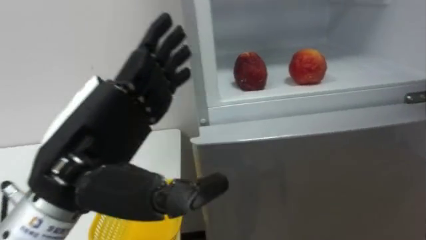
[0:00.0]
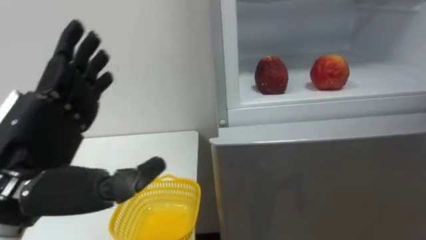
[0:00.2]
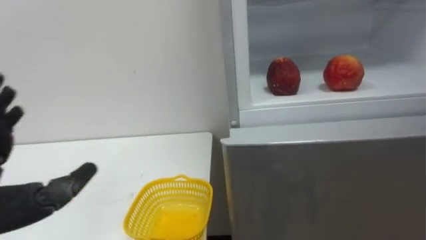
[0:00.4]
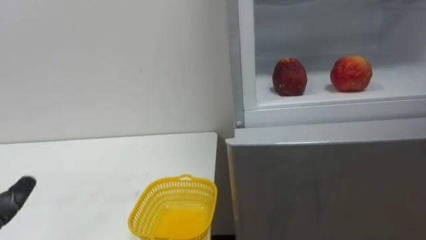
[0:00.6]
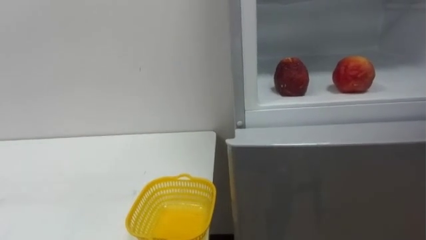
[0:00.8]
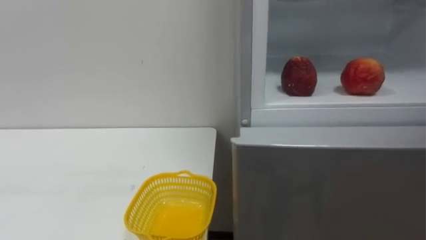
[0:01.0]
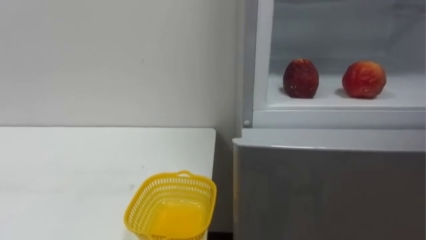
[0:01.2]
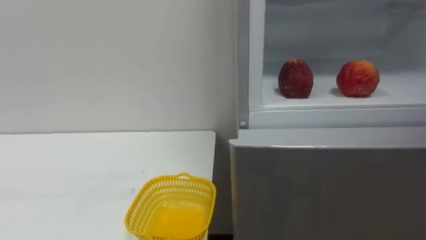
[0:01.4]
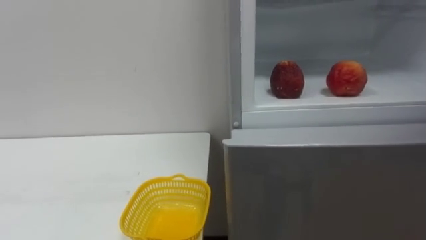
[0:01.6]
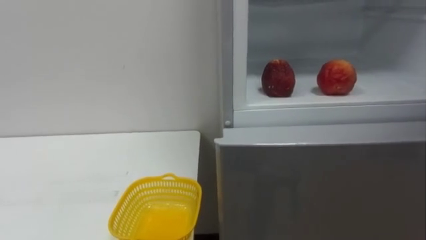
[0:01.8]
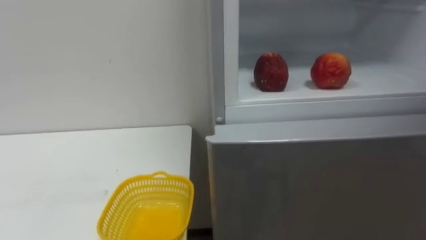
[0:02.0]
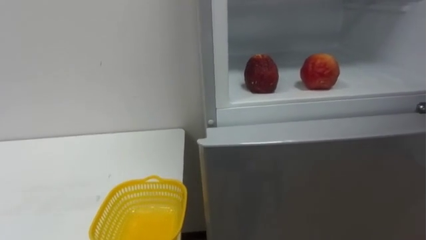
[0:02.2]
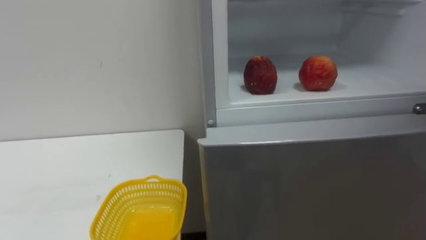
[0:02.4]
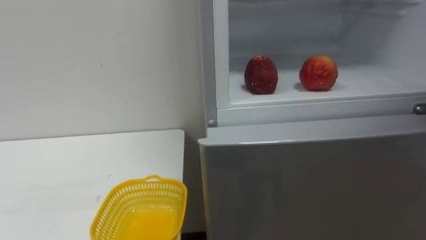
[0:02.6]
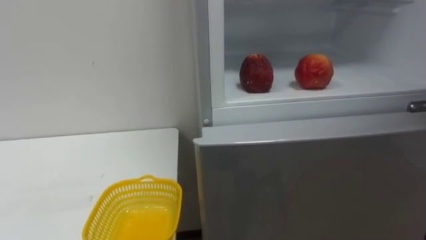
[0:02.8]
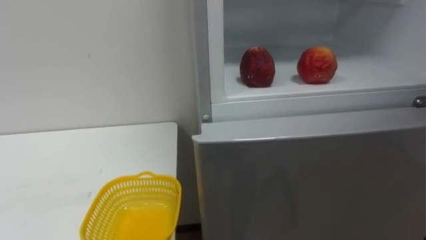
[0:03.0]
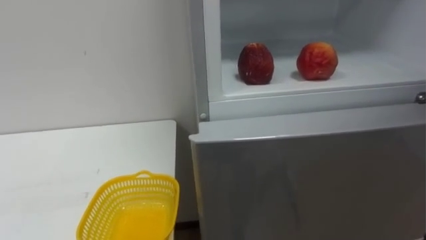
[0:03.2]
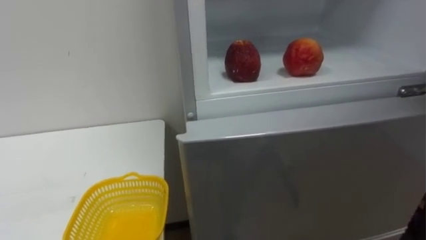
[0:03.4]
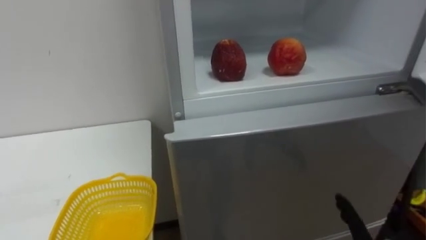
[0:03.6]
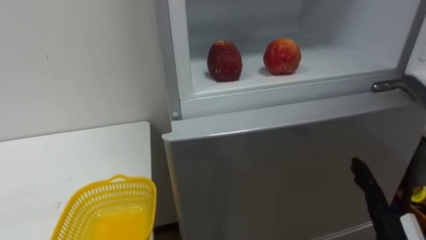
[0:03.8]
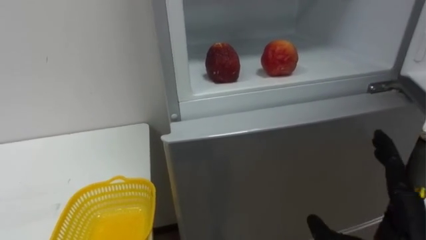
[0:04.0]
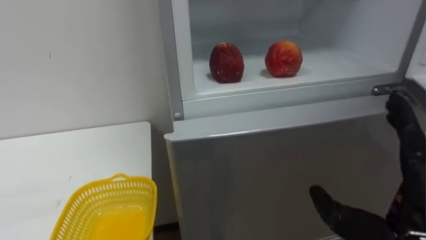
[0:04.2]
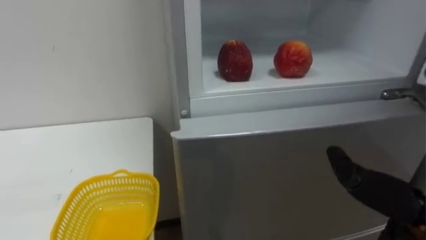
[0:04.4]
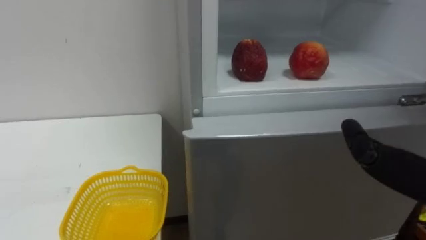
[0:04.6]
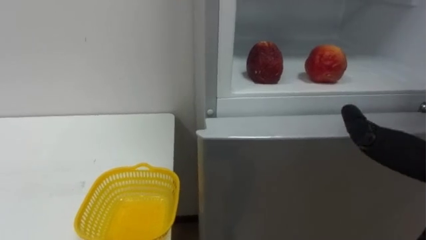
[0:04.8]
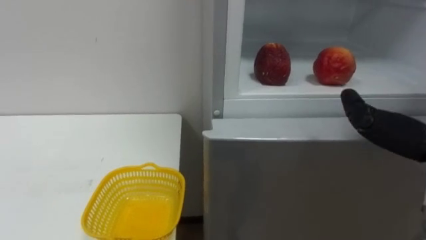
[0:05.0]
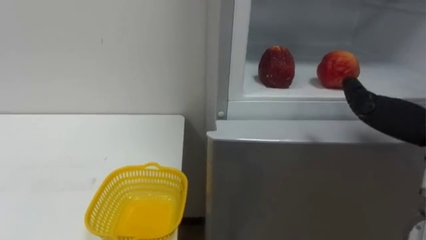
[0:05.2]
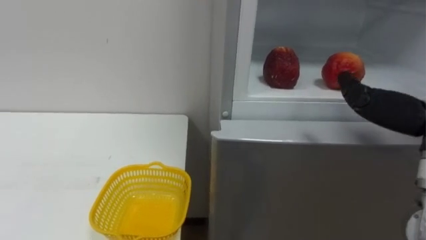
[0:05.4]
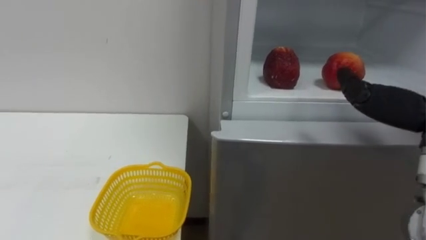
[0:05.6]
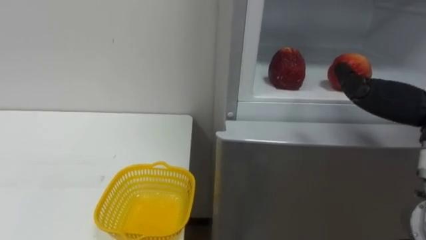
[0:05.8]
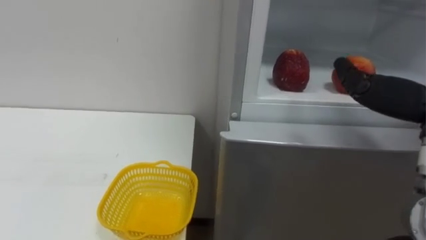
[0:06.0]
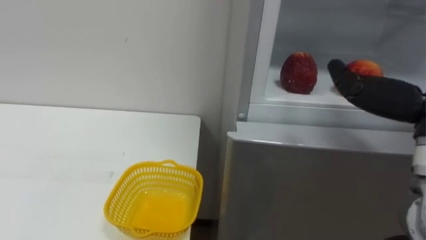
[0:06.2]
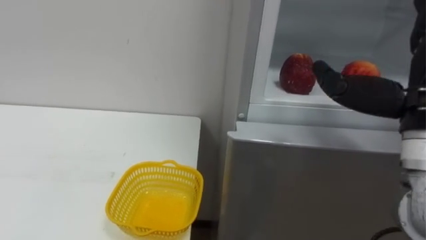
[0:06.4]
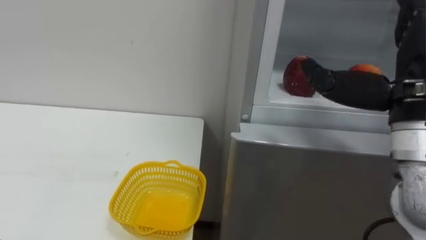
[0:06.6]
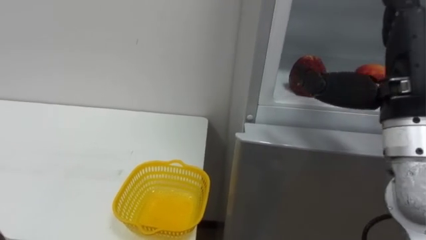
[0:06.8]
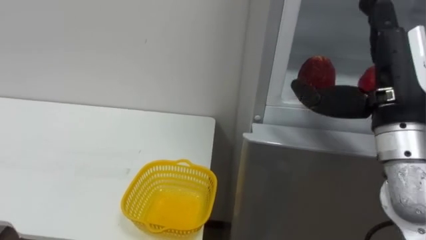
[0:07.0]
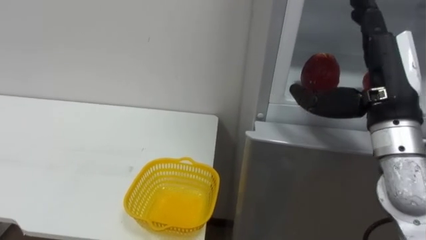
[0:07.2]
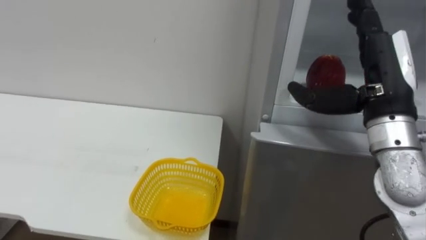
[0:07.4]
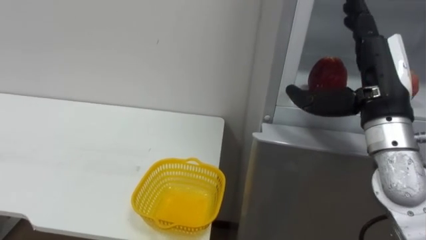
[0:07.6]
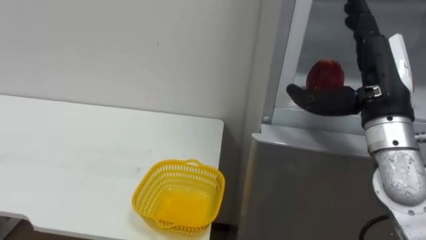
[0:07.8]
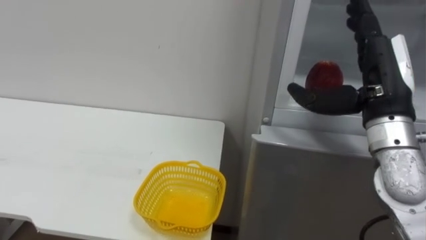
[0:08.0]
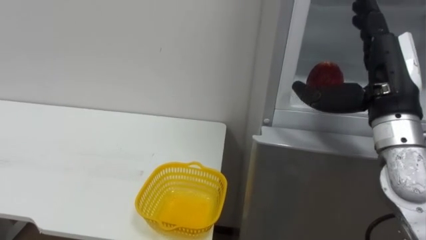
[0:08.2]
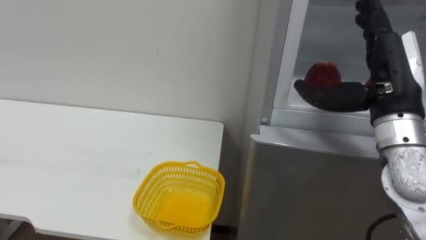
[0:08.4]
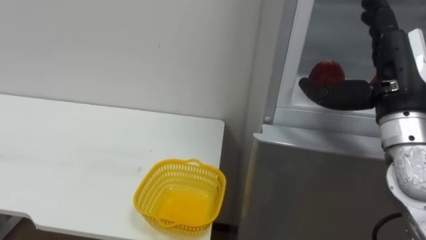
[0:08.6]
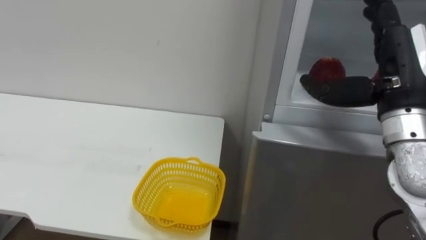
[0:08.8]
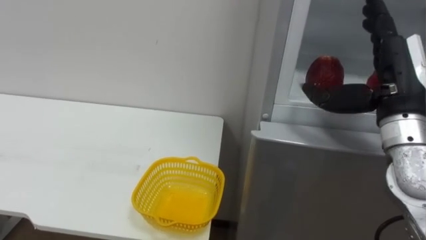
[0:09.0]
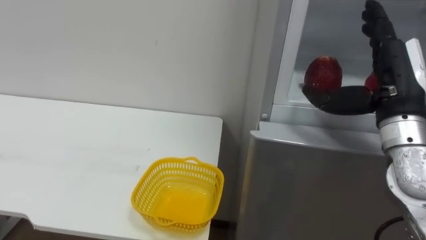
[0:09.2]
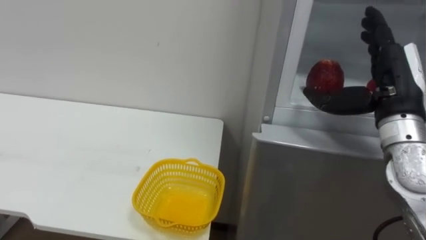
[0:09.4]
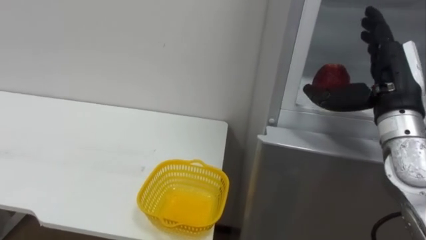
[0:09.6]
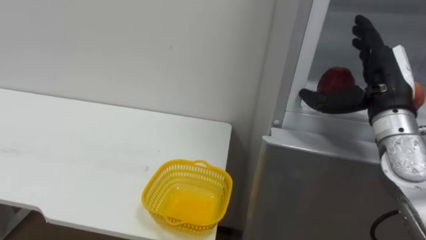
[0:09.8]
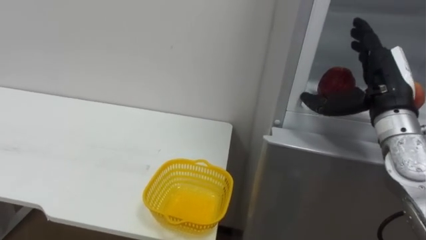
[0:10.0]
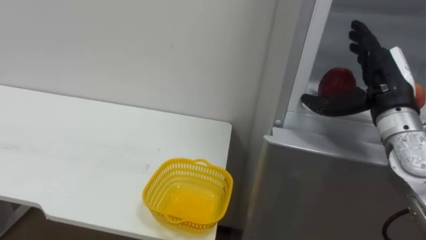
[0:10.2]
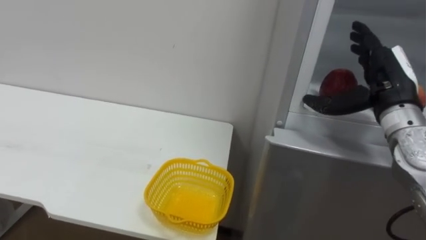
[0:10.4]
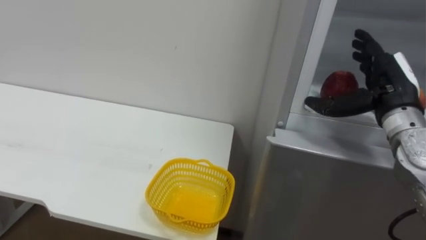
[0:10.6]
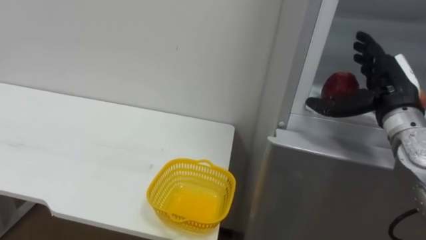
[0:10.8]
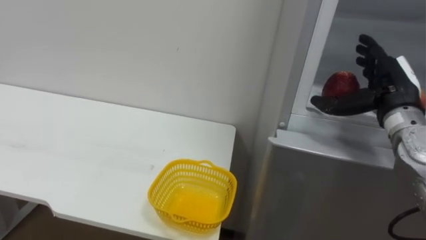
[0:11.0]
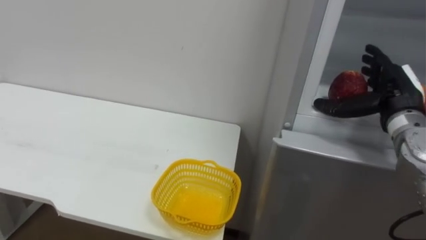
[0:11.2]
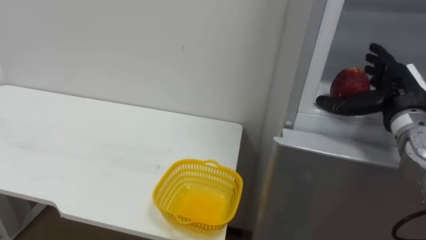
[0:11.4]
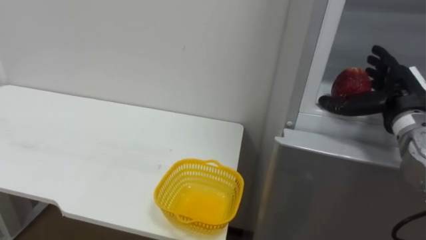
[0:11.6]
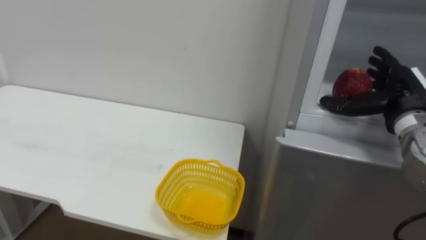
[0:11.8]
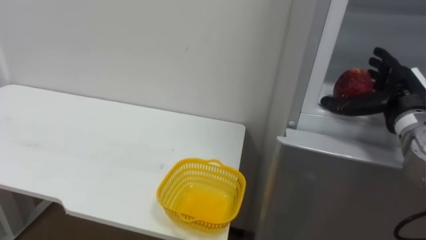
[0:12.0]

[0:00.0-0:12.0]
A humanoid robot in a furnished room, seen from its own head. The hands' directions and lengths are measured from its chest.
Task of the whole recording: Open the refrigerator door, take out the apple and the pomegranate, place them in the fruit basket on the left, and close the refrigerator door.
0:09.0 to 0:10.4: The right hand ends up about 5 cm from where it was.
0:10.4 to 0:12.0: The right hand ends up approximately 5 cm from where it was.

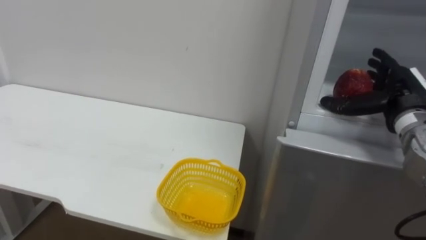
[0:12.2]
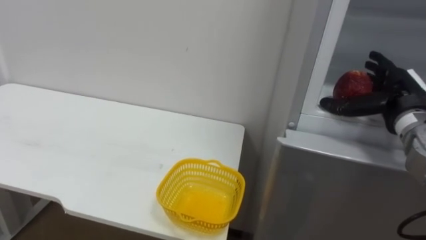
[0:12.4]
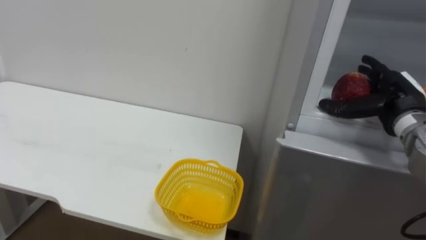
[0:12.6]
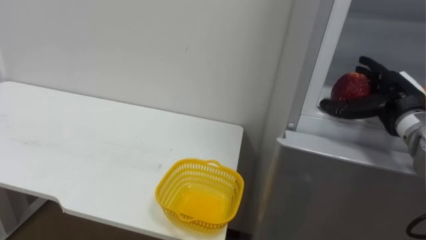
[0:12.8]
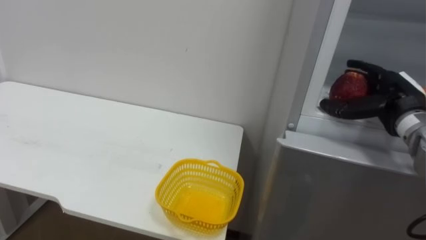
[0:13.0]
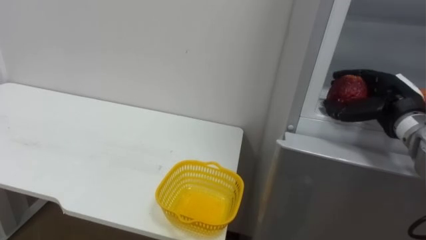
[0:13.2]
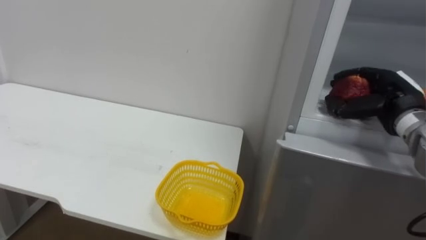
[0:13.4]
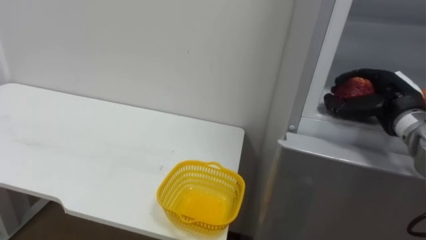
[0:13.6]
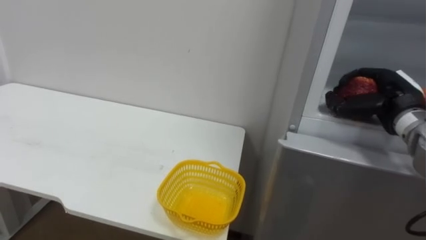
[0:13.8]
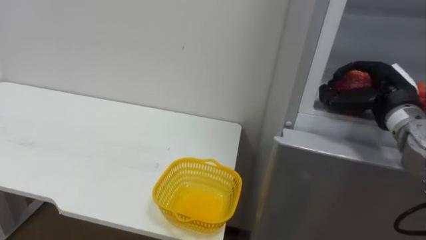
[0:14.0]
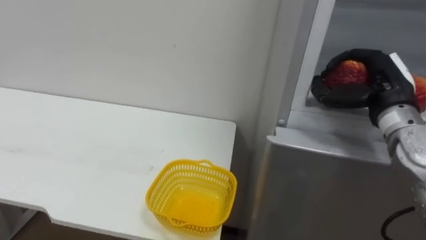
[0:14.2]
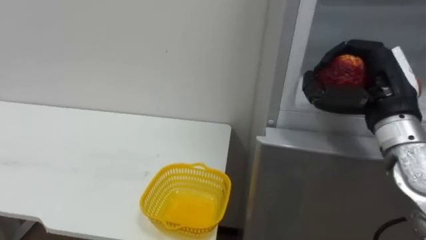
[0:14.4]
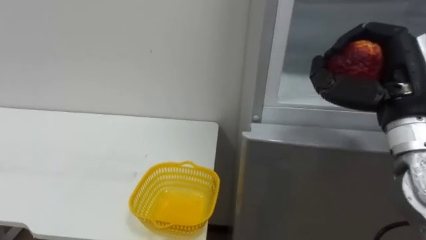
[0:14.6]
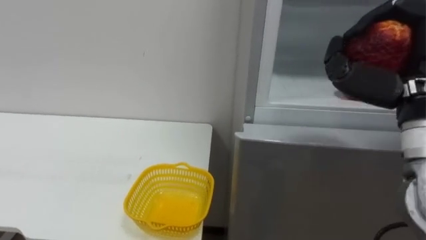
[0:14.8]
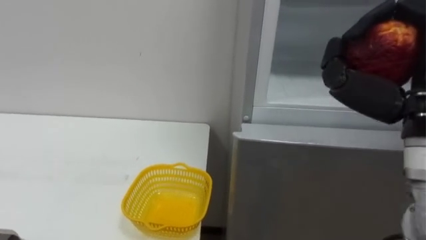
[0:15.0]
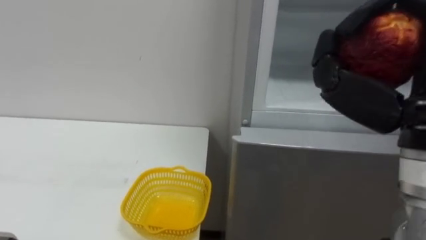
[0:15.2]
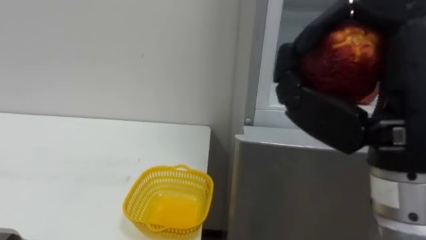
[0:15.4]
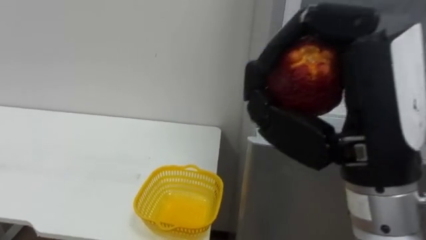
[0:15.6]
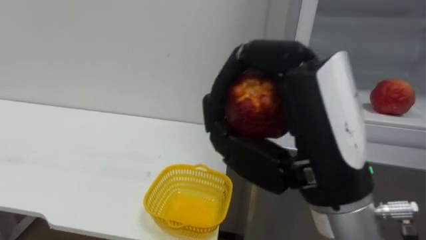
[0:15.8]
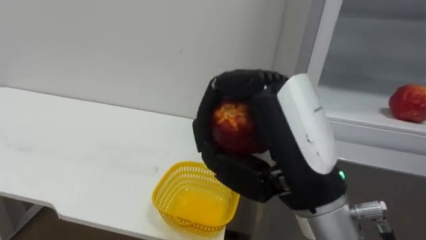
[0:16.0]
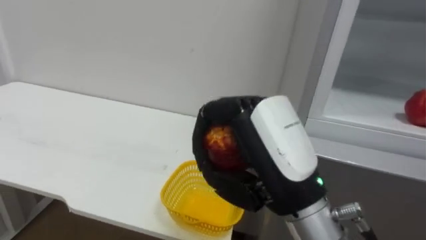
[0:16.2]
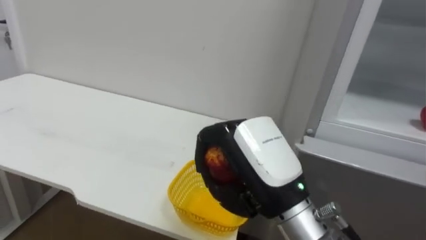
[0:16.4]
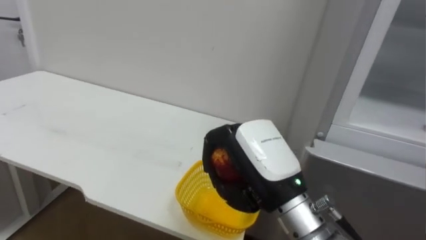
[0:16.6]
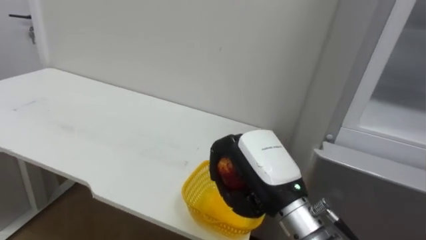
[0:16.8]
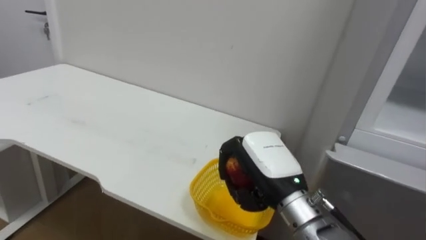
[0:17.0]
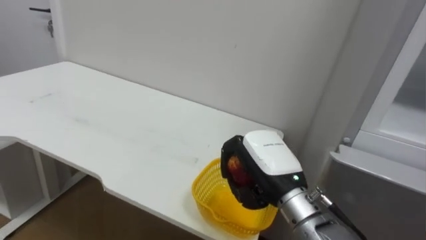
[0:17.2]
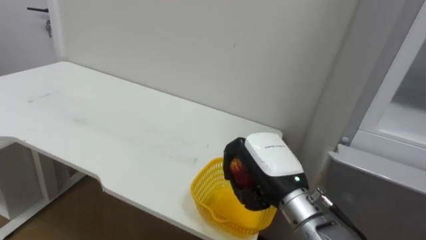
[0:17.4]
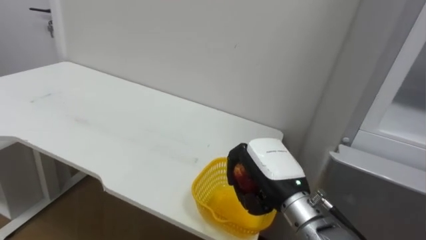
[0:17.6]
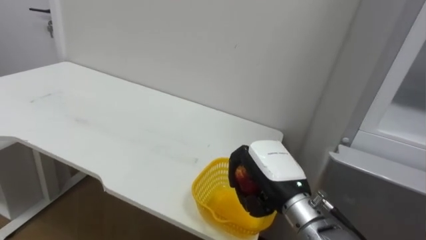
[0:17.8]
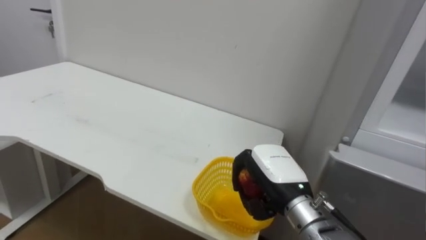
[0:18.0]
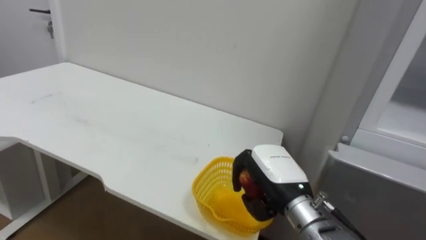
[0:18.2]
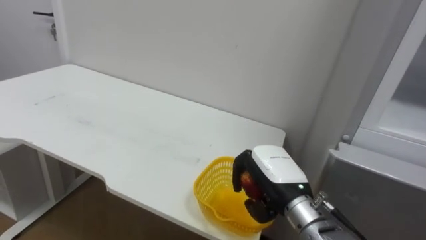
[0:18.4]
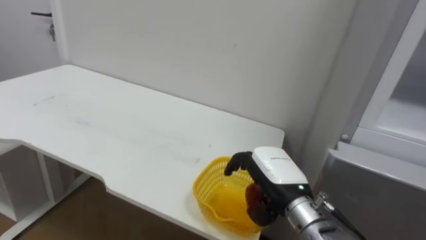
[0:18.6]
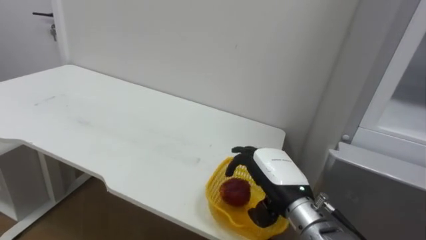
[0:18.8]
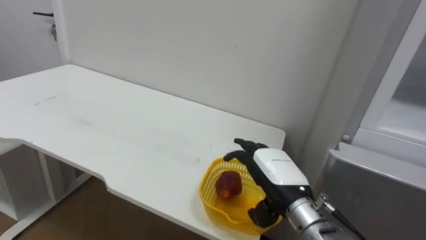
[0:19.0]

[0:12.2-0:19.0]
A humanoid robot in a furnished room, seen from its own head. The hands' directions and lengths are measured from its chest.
Task of the whole recording: Open the refrigerator door, take out the apple and the pomegranate, place them in the fruit basket on the left, and close the refrigerator door.
0:12.2 to 0:13.6: The right hand closes.
0:13.6 to 0:15.0: The right hand moves backward, upward and to the left, about 20 cm.
0:15.0 to 0:16.2: The right hand travels to the left and downward by approximately 15 cm.
0:16.2 to 0:17.6: The right hand heads downward and forward, covering about 15 cm.
0:17.6 to 0:19.0: The right hand opens up.
